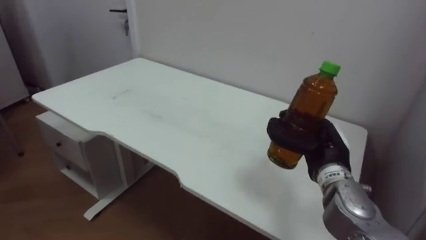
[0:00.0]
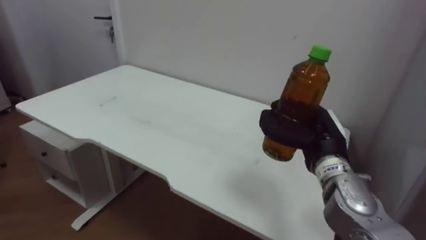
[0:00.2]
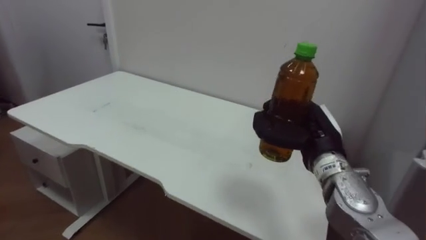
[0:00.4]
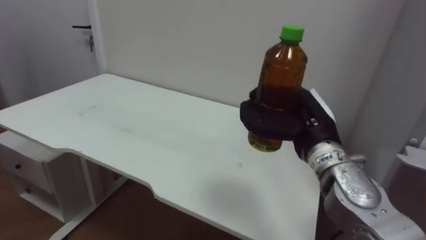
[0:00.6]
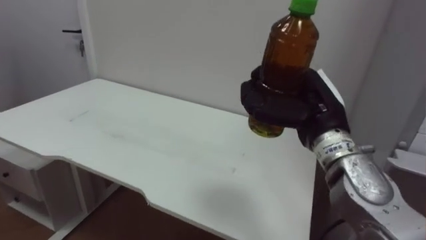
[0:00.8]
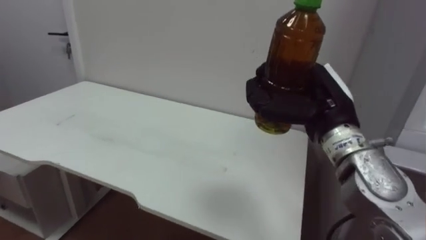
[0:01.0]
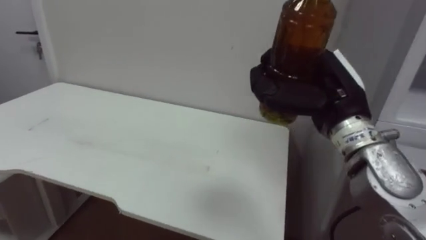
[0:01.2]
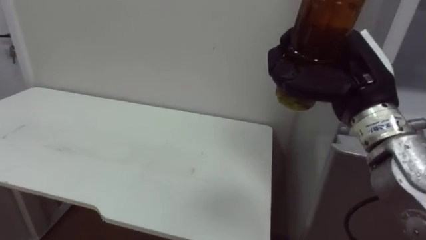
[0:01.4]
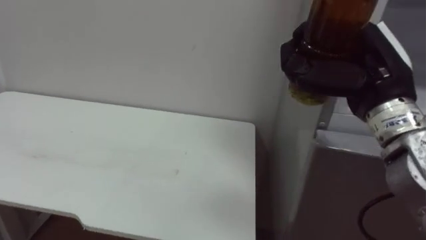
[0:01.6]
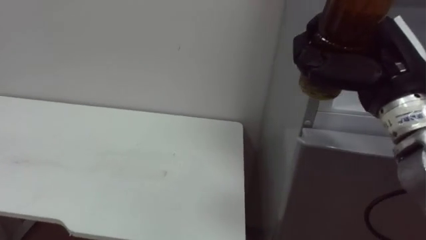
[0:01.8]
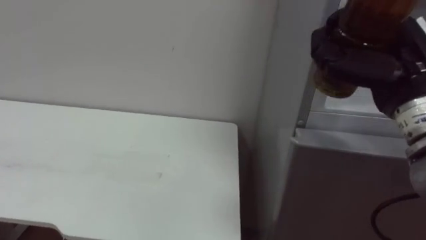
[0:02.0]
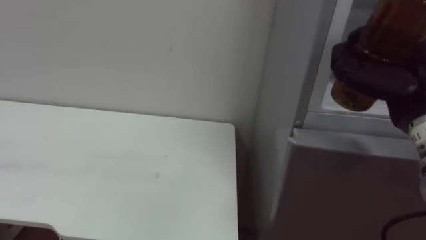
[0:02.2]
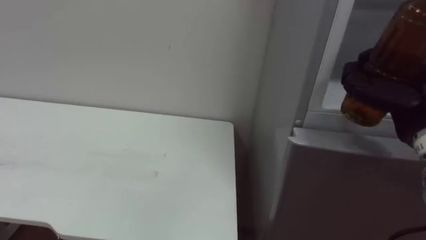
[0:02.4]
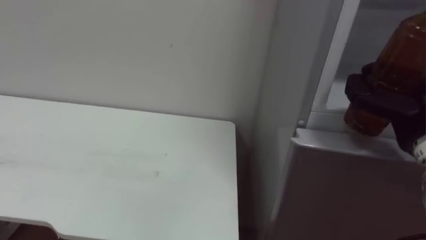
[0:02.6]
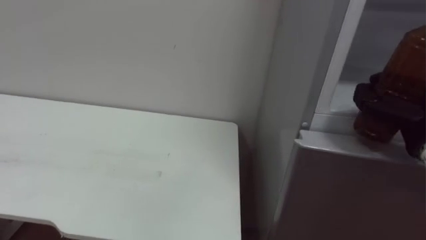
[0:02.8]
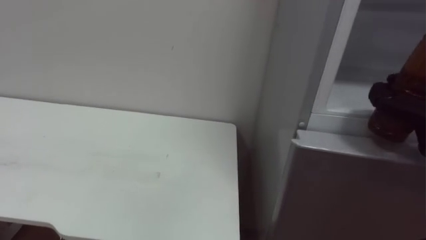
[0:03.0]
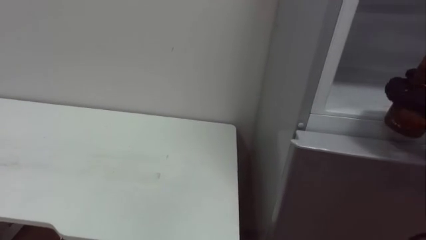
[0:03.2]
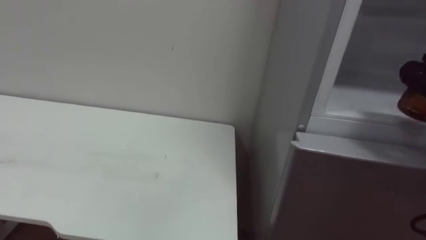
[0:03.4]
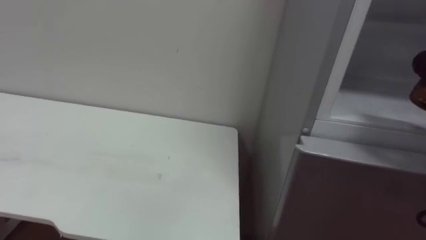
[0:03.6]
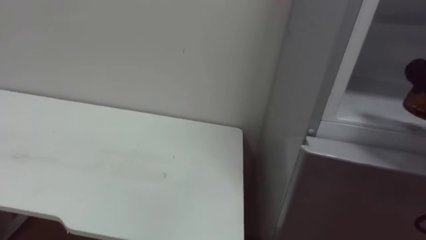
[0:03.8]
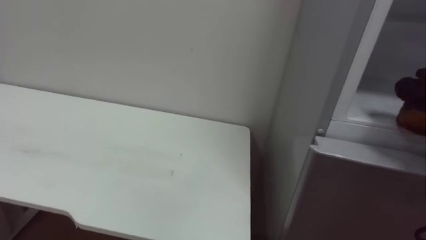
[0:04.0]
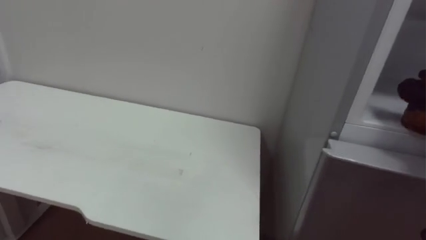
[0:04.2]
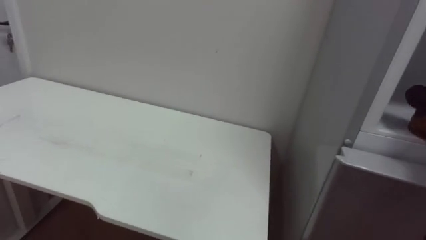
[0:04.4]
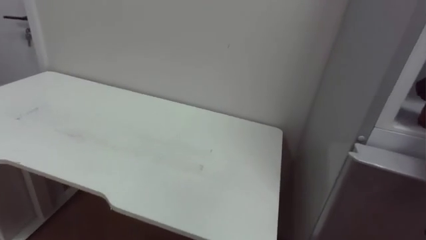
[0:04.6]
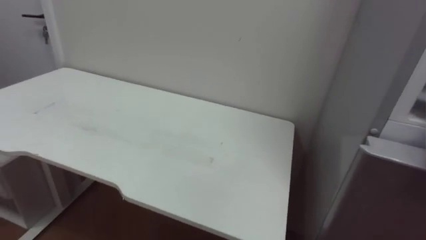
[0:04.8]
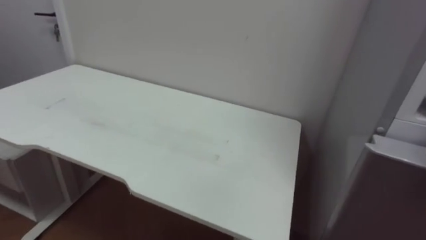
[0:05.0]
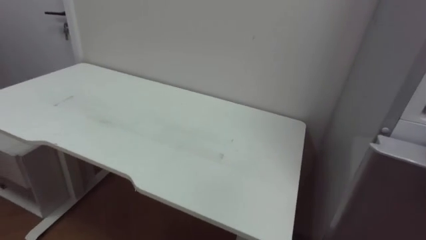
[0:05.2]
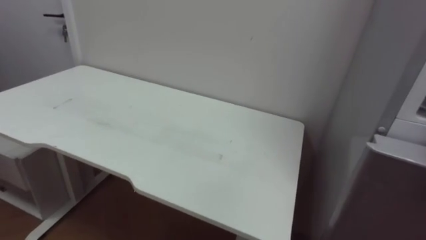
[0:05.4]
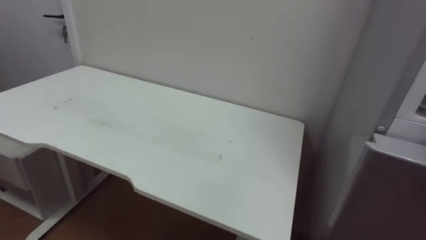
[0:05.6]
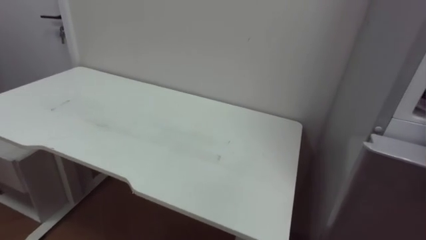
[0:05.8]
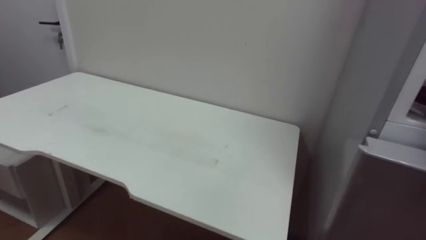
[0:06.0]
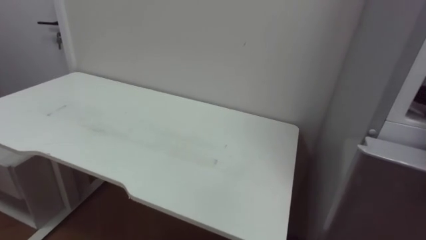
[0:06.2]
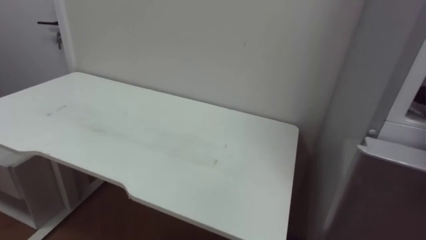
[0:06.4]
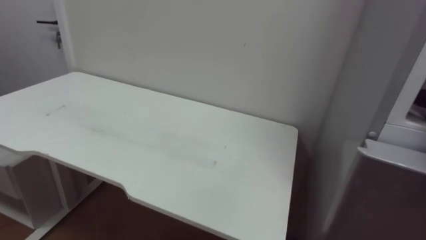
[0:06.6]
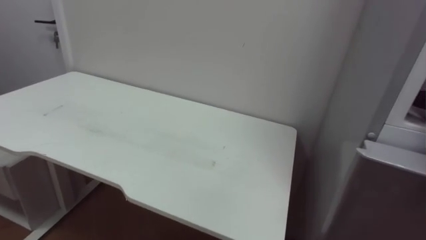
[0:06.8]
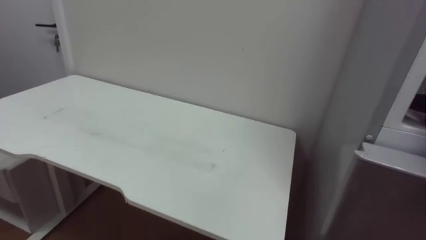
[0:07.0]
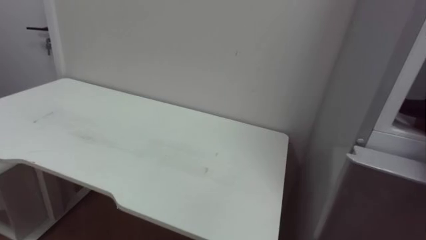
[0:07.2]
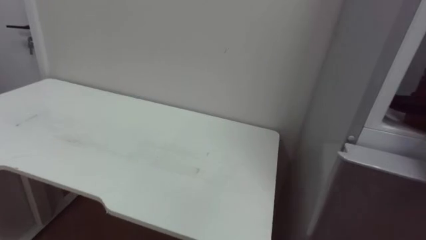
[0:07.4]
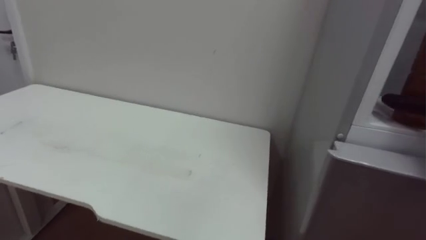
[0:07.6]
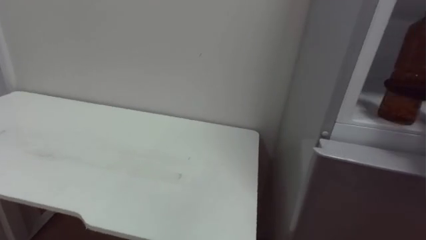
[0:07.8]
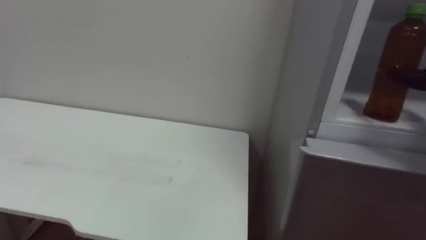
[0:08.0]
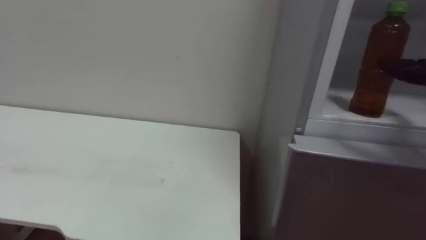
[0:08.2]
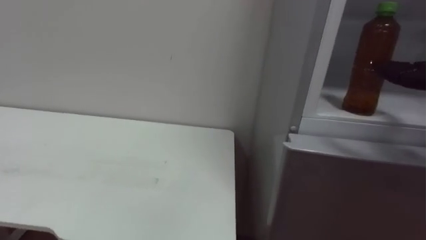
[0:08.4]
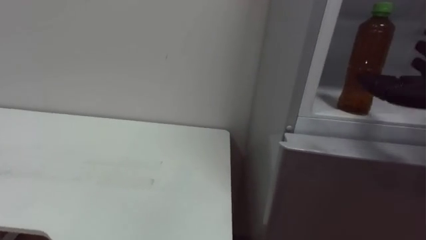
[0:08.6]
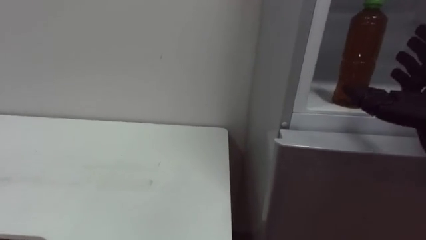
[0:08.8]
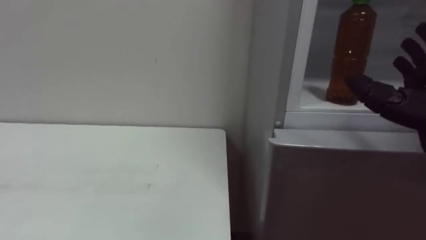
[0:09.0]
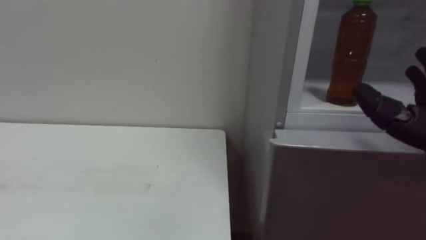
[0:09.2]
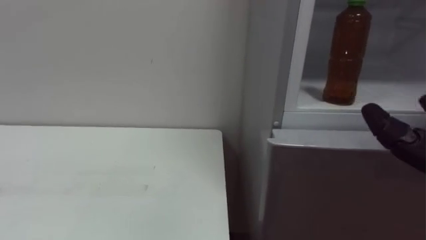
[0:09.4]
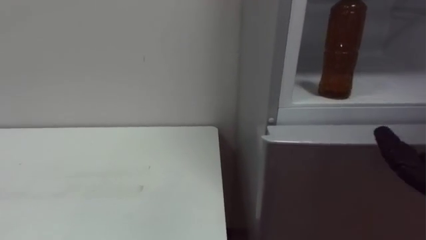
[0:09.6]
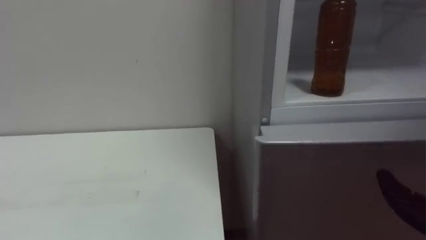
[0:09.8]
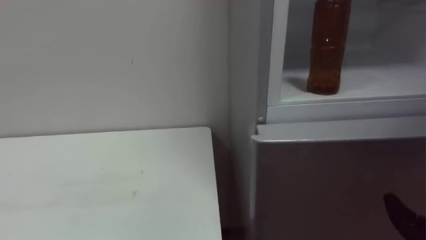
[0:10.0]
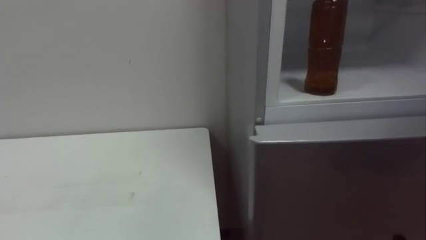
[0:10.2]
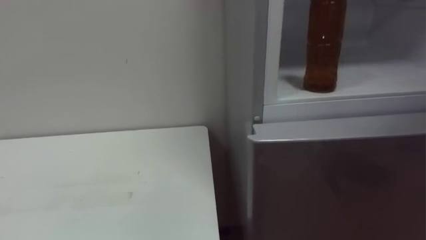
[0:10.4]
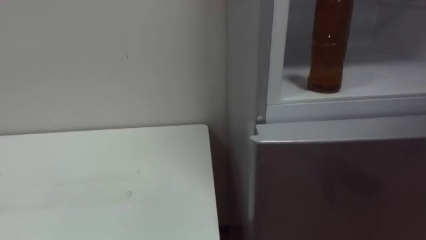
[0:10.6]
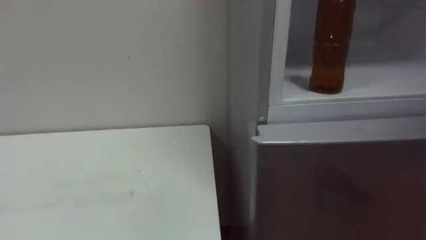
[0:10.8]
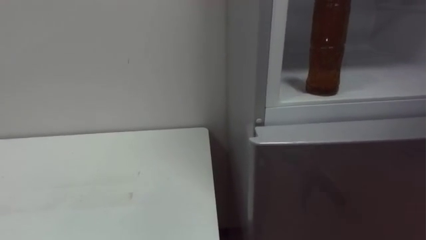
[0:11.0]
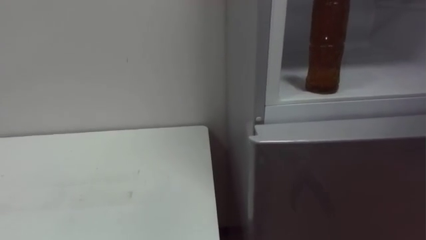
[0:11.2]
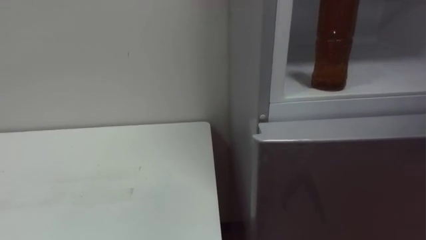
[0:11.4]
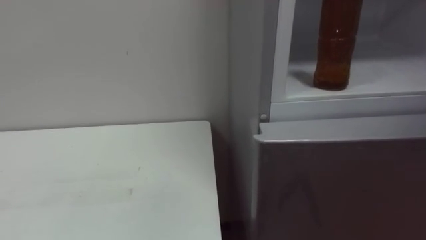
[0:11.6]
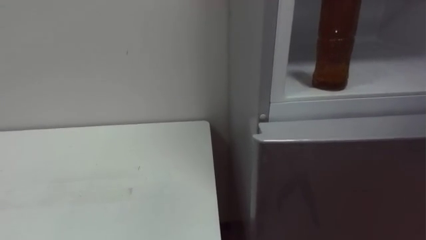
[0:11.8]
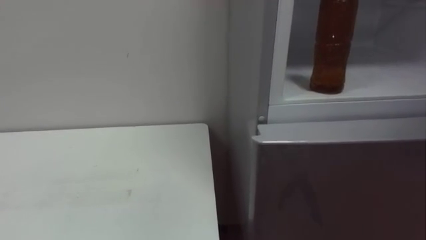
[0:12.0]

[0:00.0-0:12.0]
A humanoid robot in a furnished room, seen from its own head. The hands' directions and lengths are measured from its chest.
Task of the whole recording: Open the upper refrigerator door, put the drink from the table into the refrigerator, and then close the refrigerator door.
0:00.0 to 0:01.6: The right hand moves upward, roughly 15 cm.

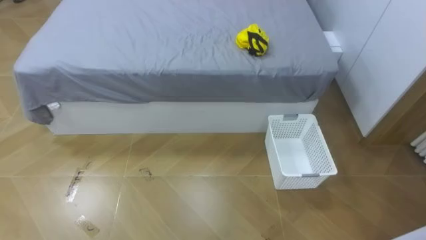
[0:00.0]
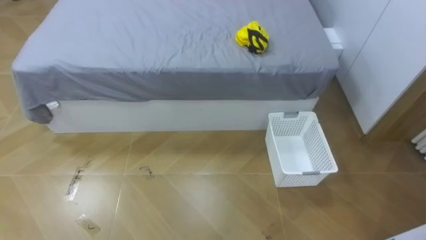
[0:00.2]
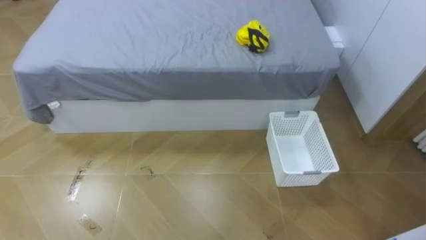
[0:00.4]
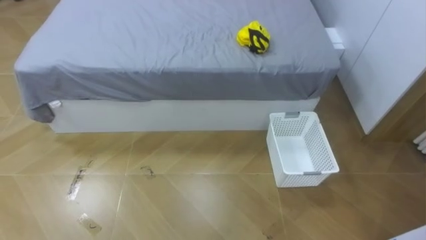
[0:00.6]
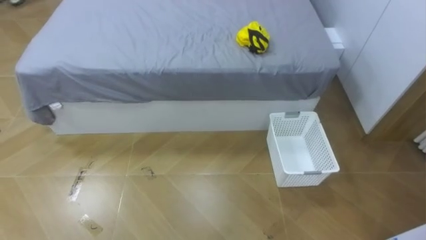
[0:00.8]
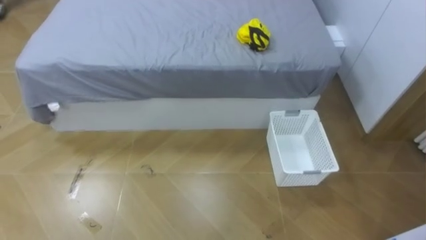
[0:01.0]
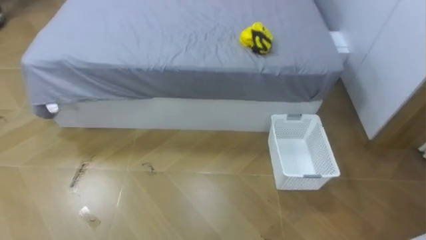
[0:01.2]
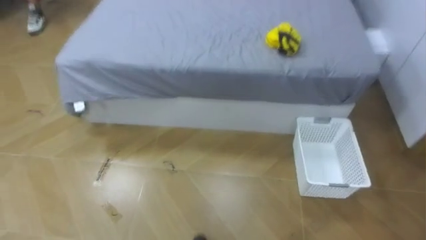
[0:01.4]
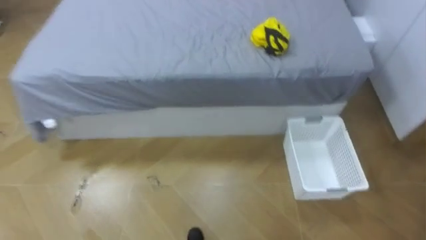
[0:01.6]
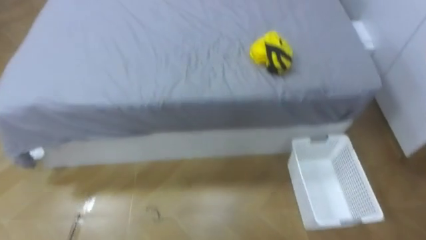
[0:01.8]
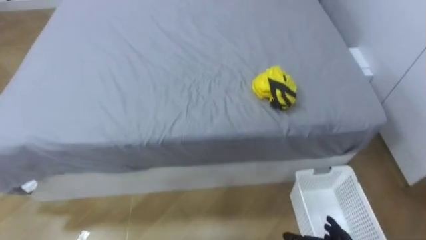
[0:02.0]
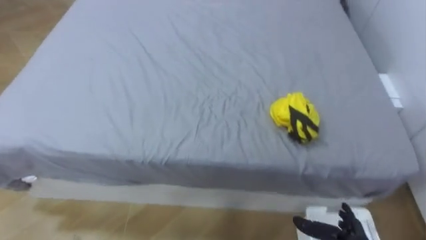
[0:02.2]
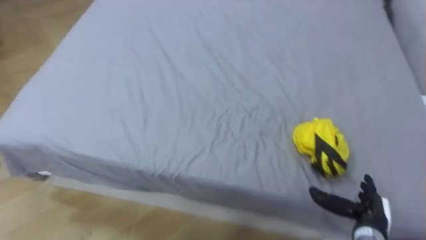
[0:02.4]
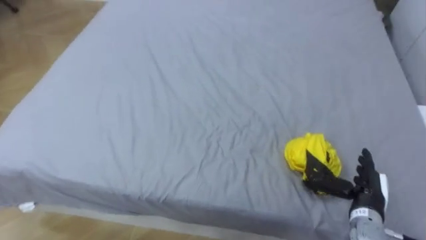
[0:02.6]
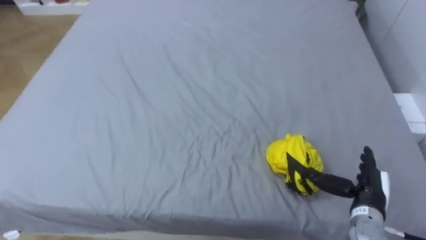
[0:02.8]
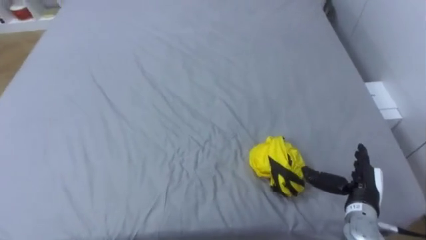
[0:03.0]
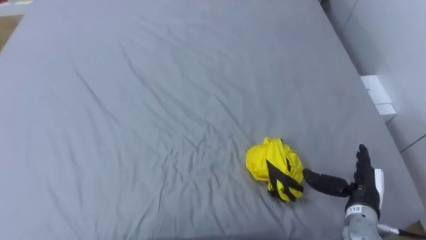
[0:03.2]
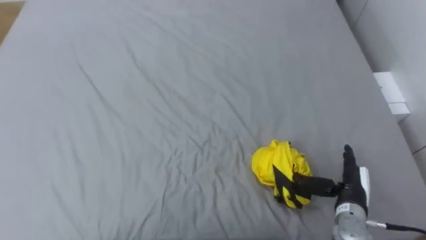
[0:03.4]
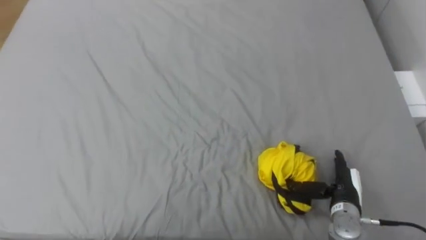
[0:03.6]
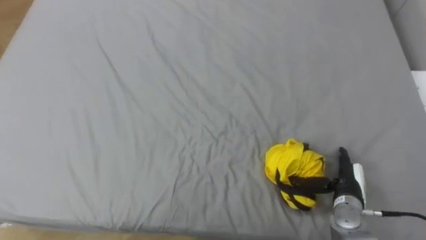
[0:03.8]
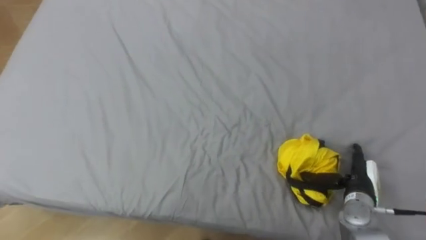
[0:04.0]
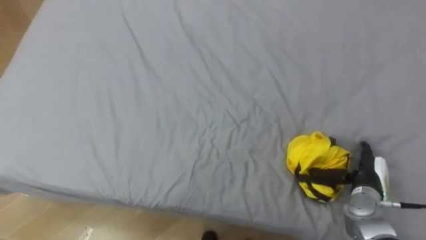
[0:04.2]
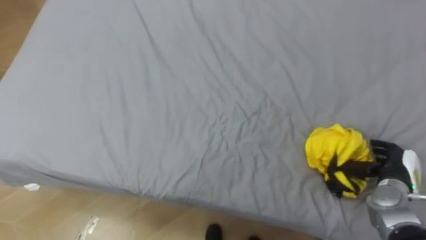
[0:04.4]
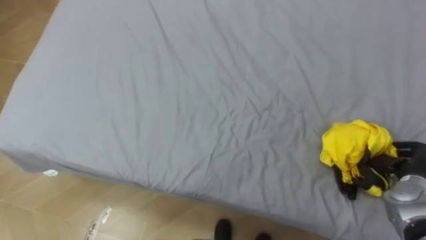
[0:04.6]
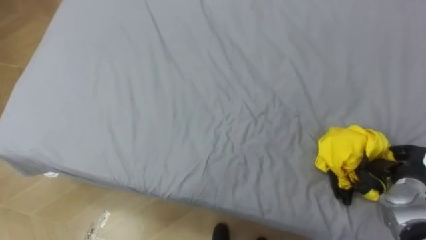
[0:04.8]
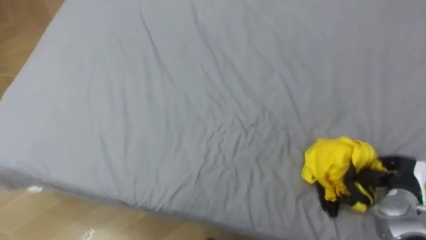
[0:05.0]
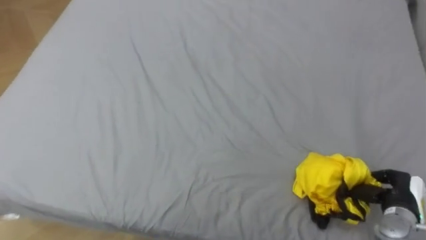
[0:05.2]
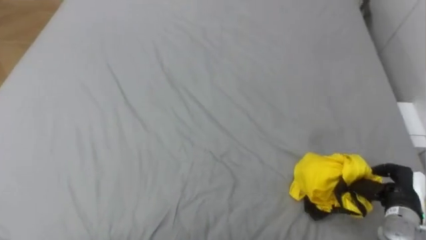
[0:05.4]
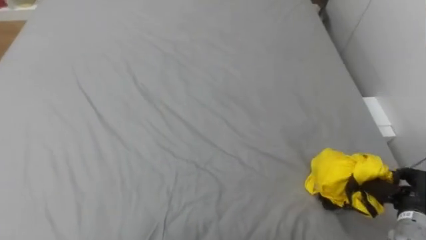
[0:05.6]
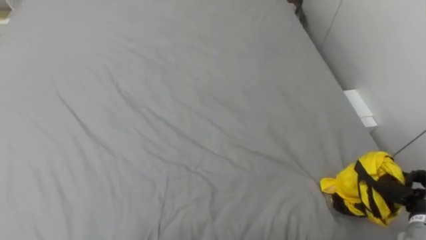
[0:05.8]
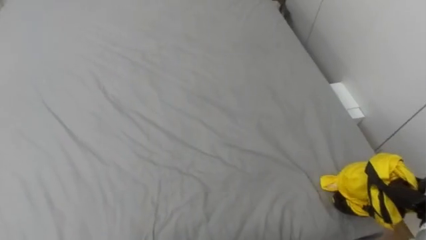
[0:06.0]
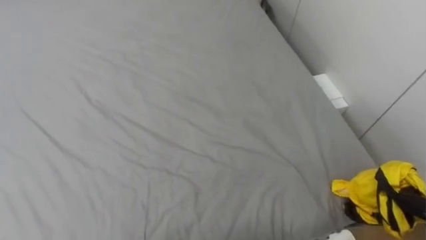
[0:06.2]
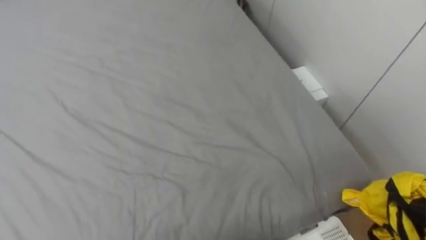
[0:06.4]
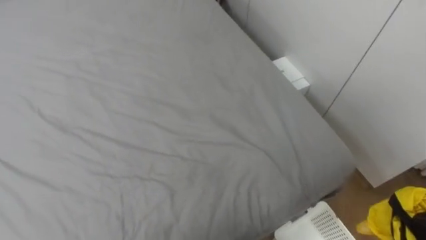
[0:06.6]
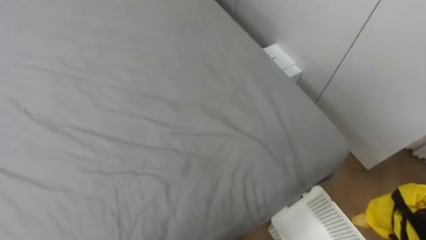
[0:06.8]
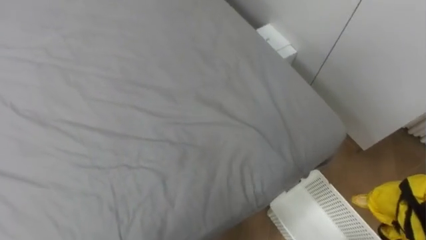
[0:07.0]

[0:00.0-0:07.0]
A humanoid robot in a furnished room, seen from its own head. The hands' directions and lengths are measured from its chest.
Task of the whole recording: Pick up the yellow clothes on the bed and place them into the white basket on the right.
0:04.2 to 0:05.6: The right hand goes about 10 cm to the right and backward, and closes up.
